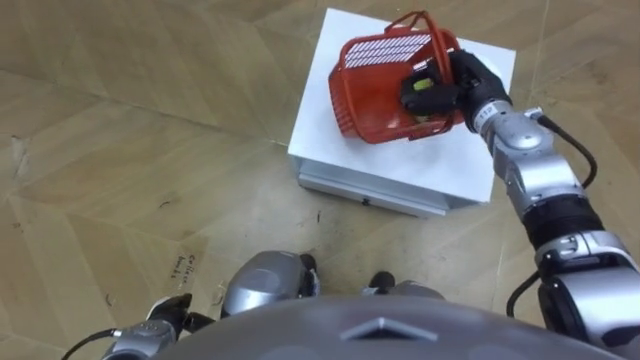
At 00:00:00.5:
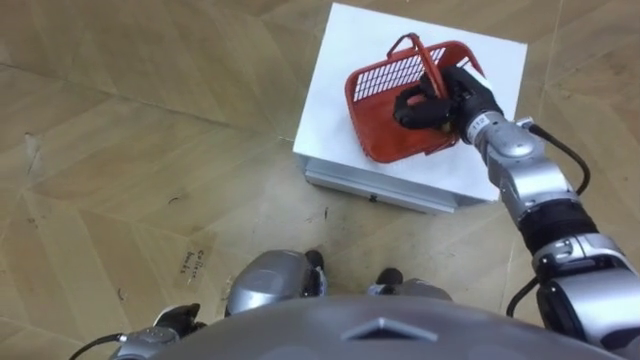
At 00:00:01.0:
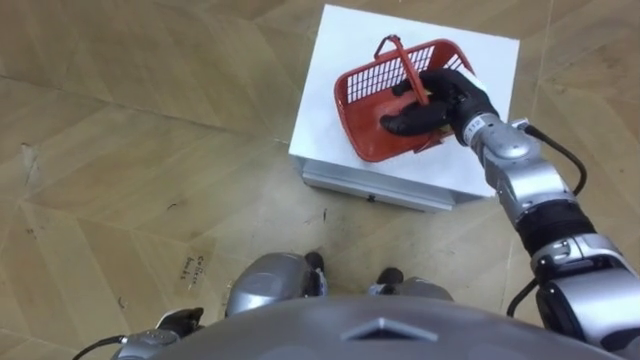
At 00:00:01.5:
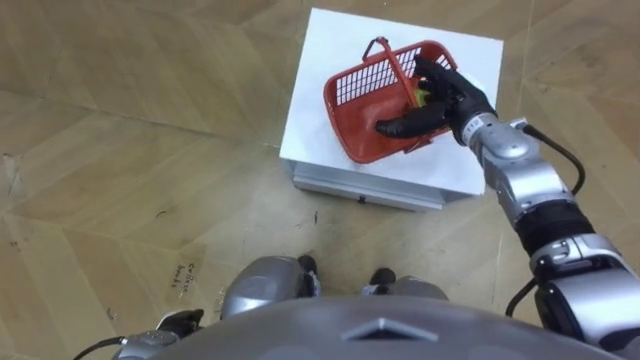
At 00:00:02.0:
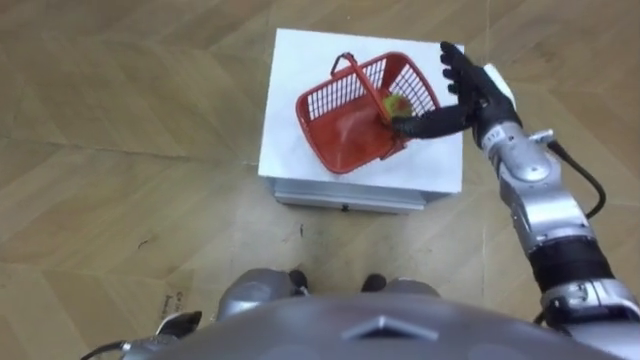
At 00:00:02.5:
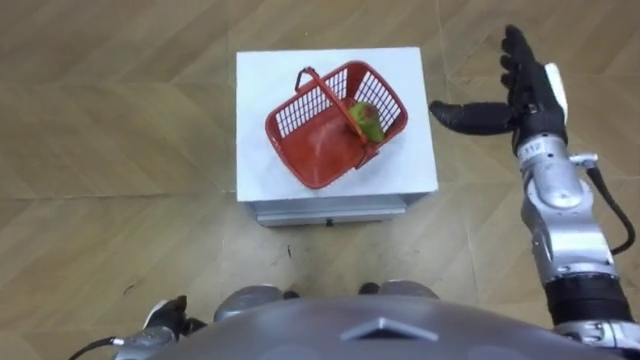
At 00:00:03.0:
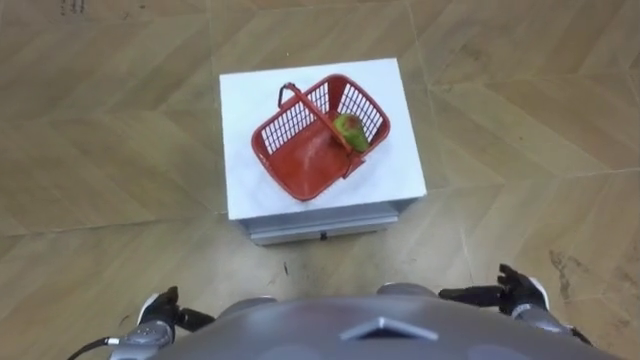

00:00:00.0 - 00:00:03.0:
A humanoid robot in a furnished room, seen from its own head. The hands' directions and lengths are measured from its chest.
Task of the whole recording: Pick up the fruit basket from the floor and place it on the cabinet.
00:00:00.0 - 00:00:01.5: The right hand opens.
00:00:01.5 - 00:00:03.0: The right hand moves backward, downward and to the right, roughly 30 cm.

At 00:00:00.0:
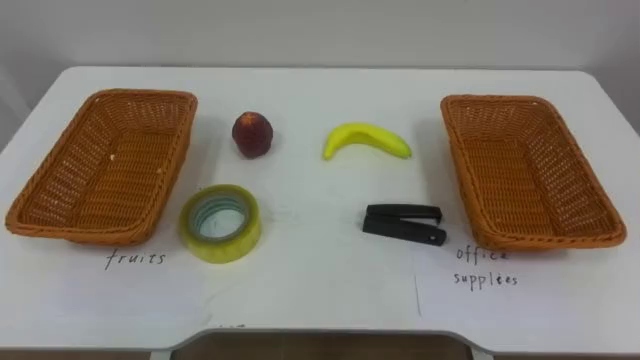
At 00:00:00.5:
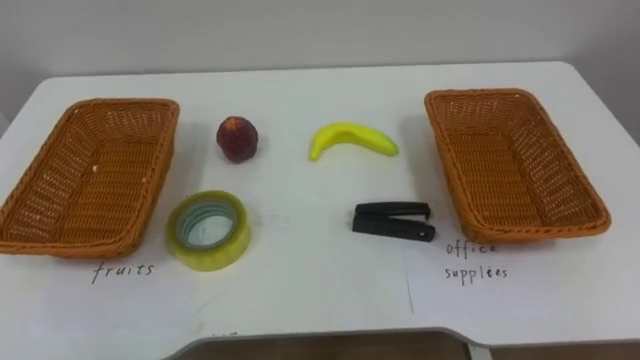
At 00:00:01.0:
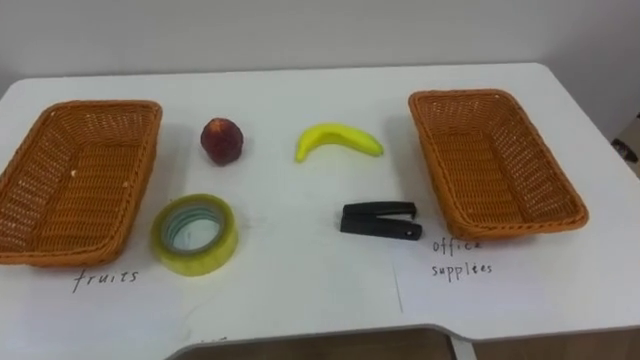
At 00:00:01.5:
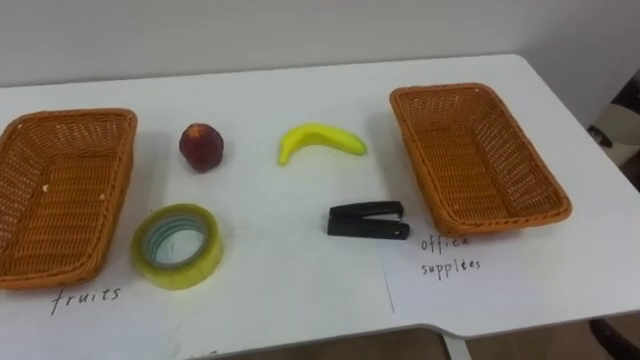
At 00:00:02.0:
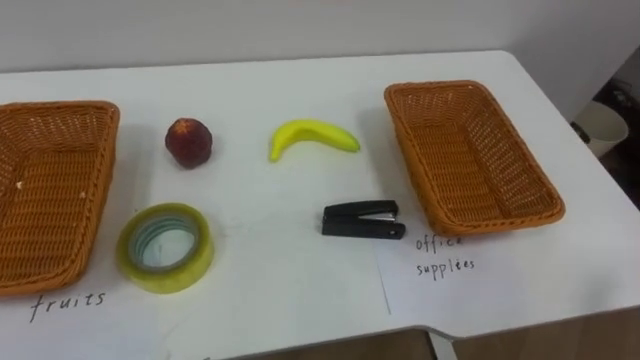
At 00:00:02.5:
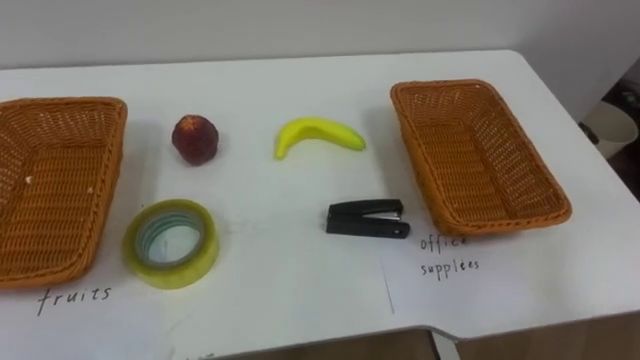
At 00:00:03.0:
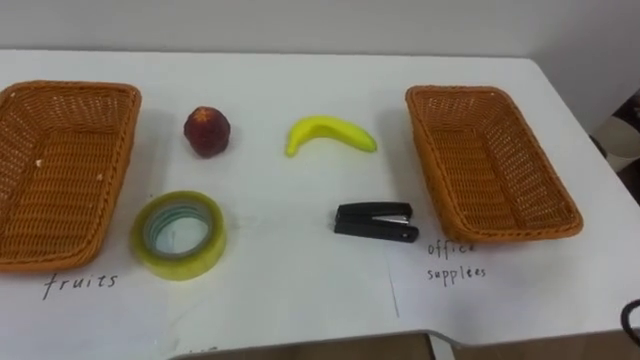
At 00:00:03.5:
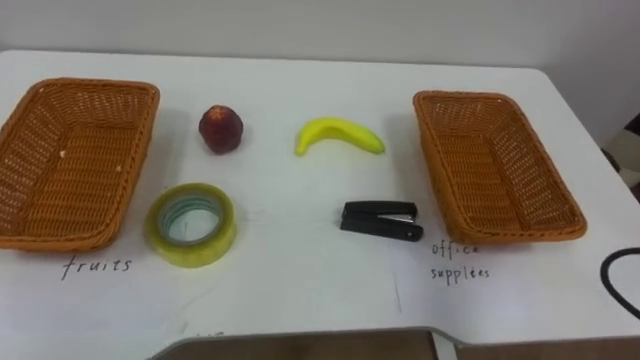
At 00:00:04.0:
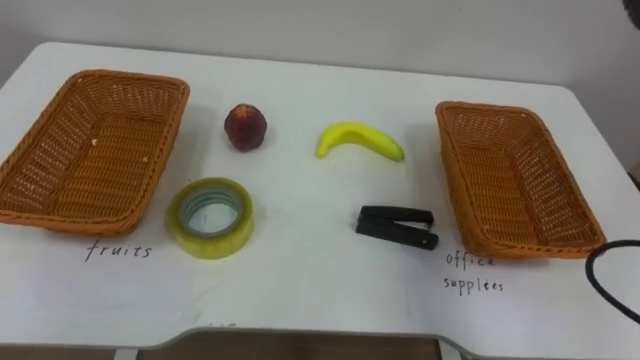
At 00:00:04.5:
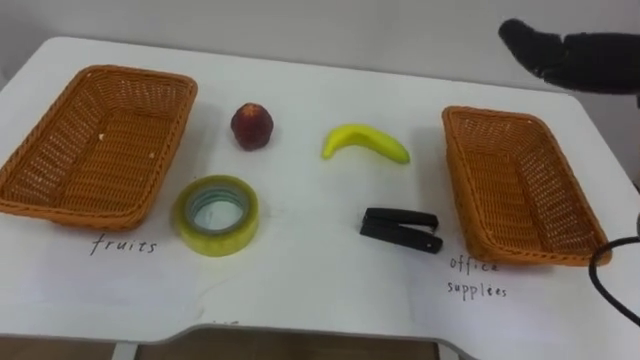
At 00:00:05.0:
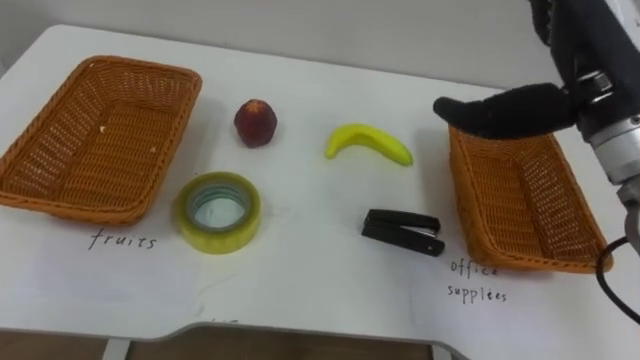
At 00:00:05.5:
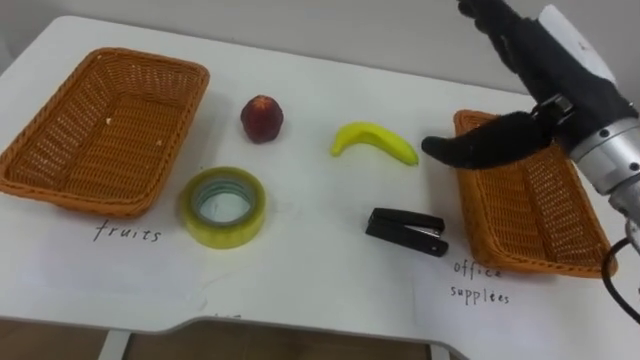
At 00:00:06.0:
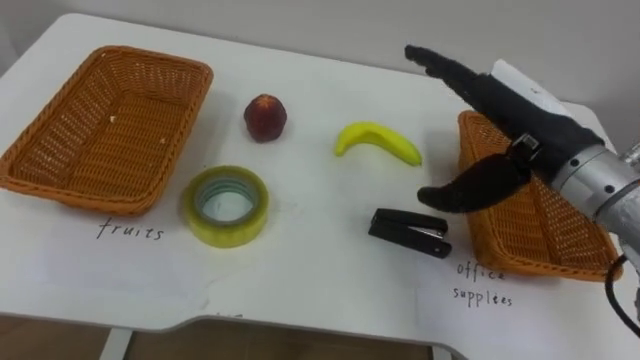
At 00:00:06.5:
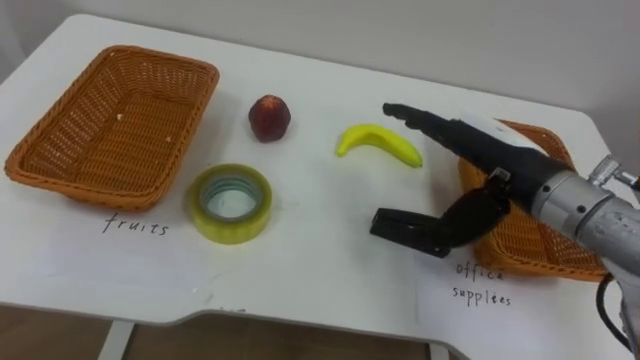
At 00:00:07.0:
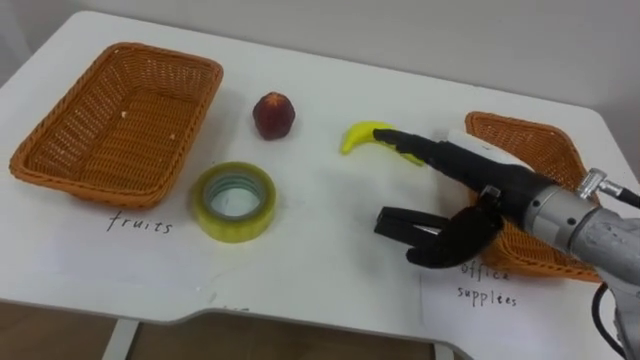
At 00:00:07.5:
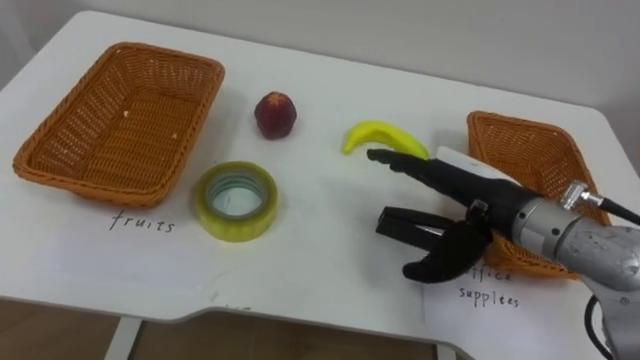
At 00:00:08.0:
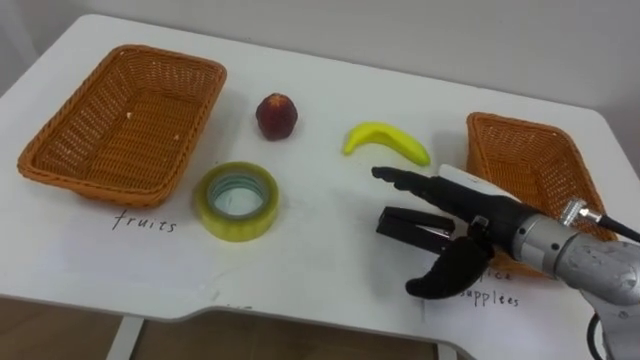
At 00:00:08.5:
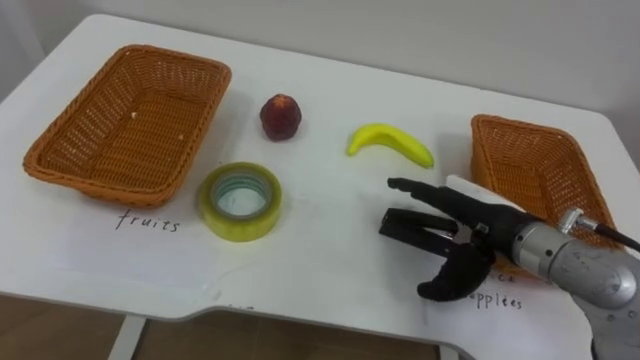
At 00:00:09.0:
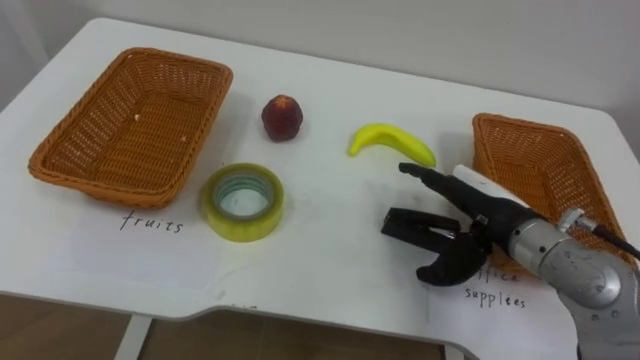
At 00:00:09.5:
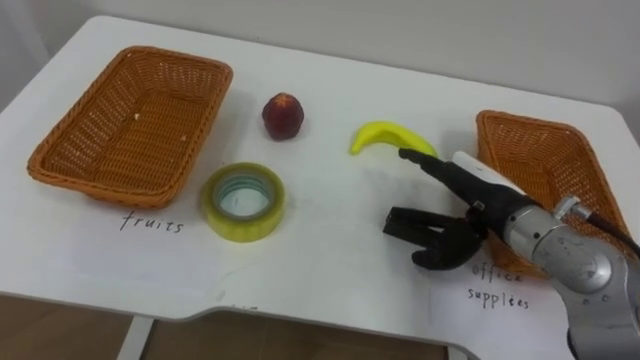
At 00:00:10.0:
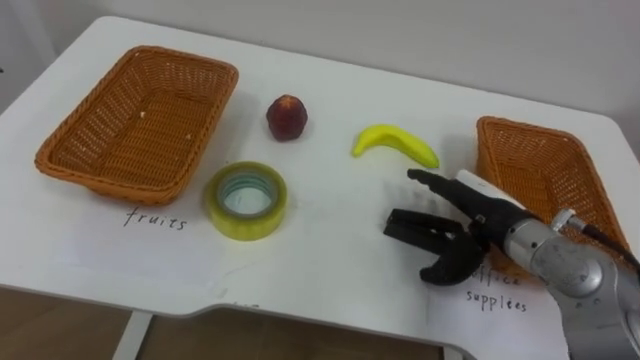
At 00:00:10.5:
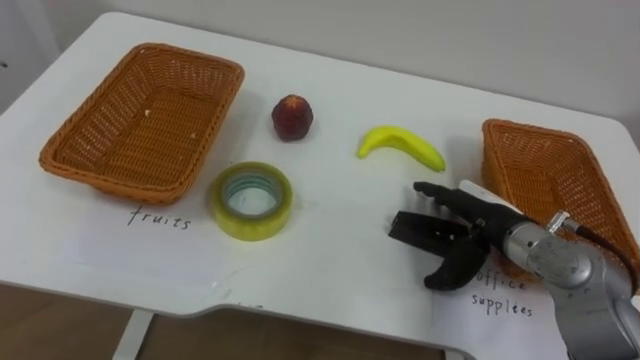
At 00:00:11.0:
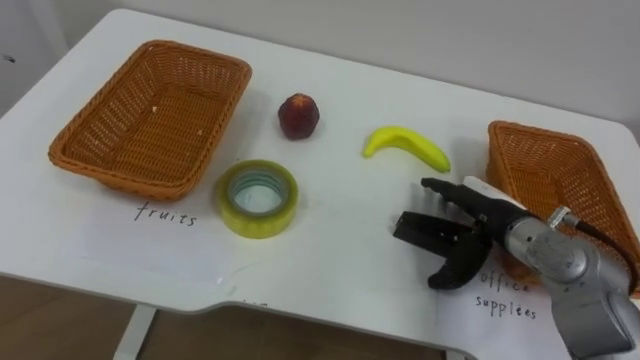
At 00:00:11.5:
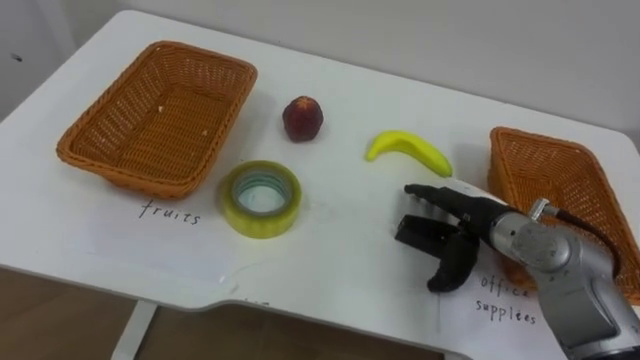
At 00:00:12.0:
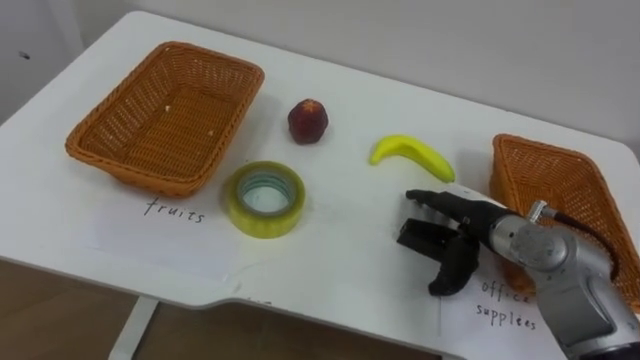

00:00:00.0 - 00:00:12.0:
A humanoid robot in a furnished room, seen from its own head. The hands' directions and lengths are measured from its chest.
Task of the whole recording: Separate the items on the table and place them into the two baskets.
00:00:06.0 - 00:00:08.0: The right hand goes approximately 10 cm downward.
00:00:08.0 - 00:00:10.0: The right hand shifts by approximately 5 cm.

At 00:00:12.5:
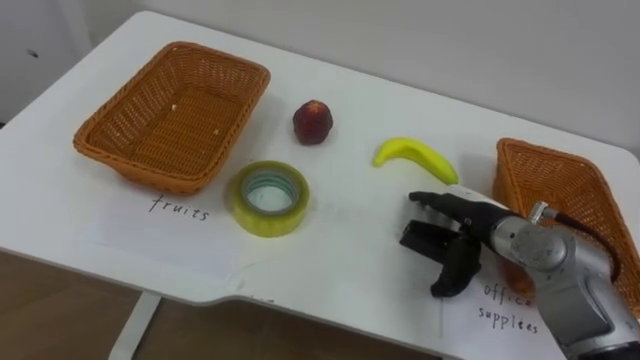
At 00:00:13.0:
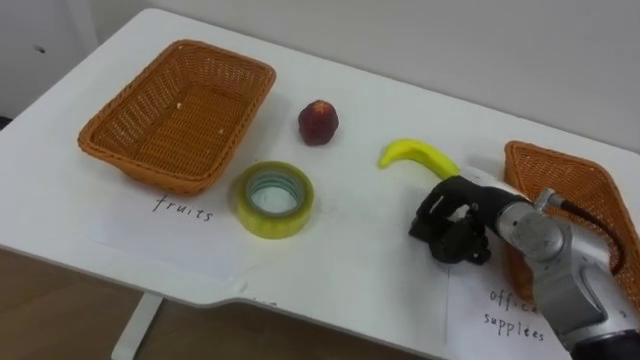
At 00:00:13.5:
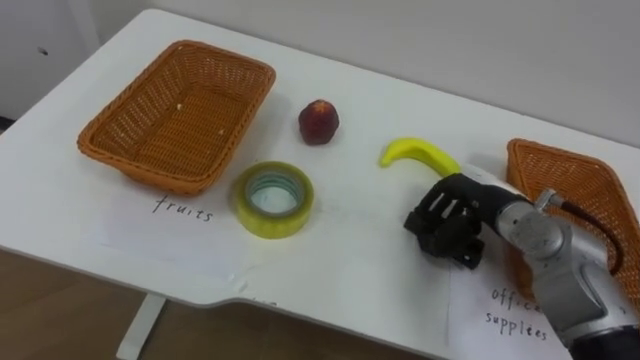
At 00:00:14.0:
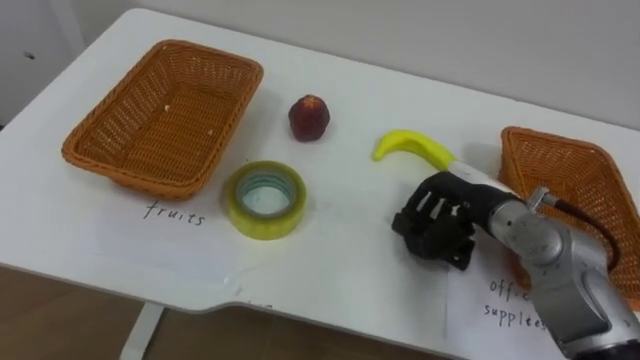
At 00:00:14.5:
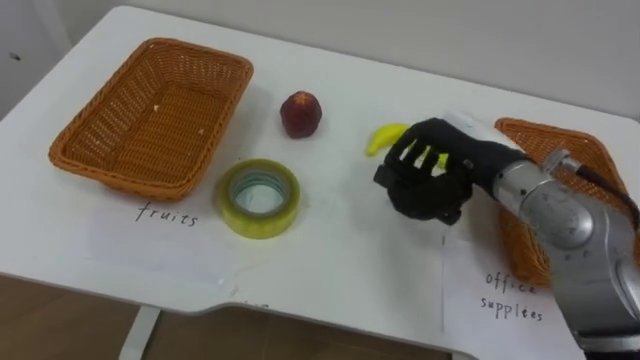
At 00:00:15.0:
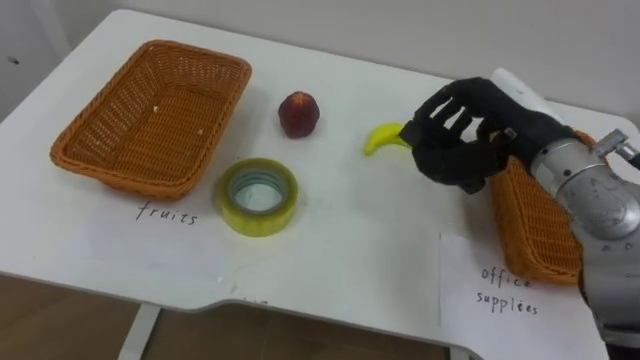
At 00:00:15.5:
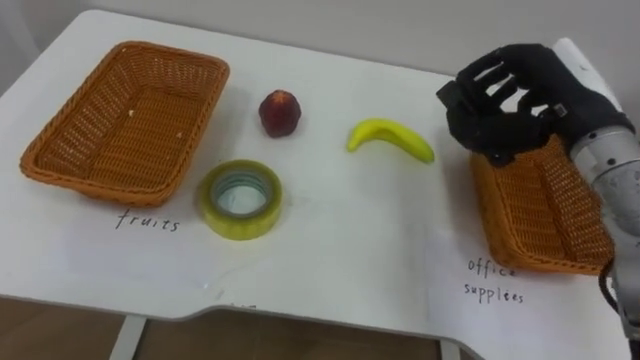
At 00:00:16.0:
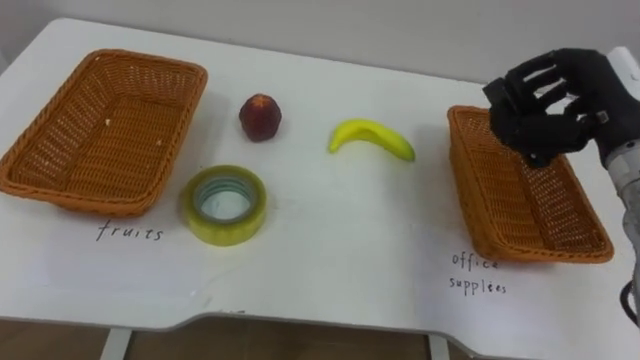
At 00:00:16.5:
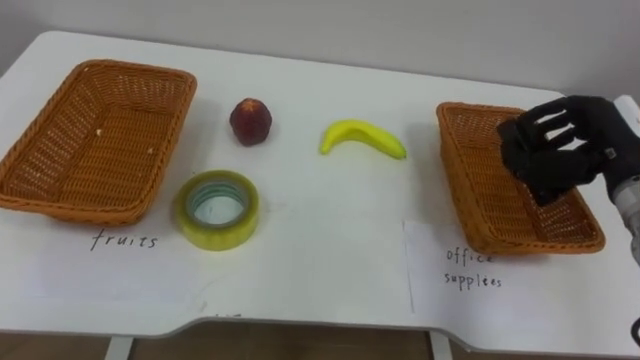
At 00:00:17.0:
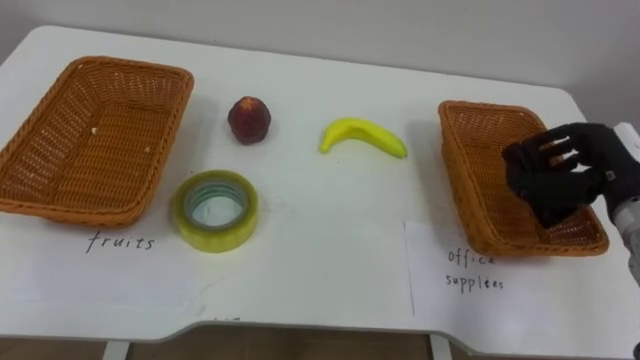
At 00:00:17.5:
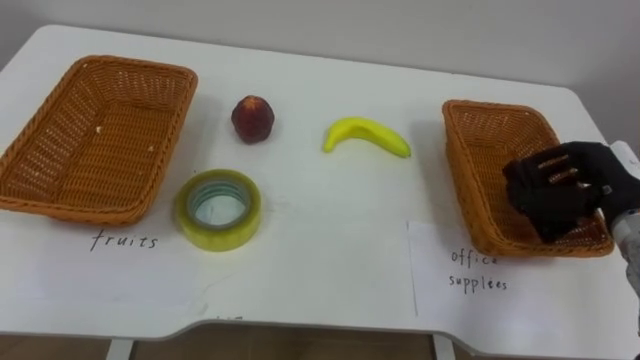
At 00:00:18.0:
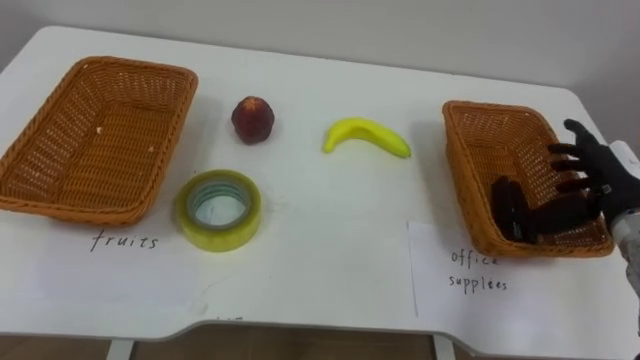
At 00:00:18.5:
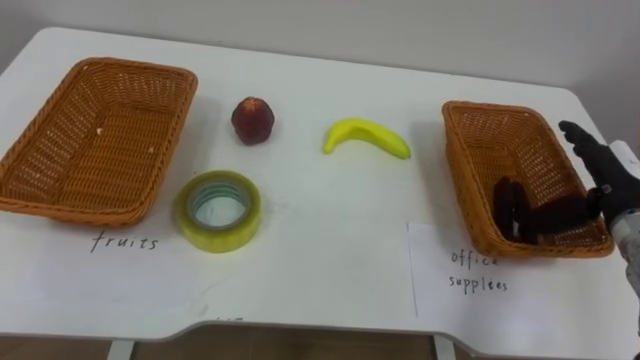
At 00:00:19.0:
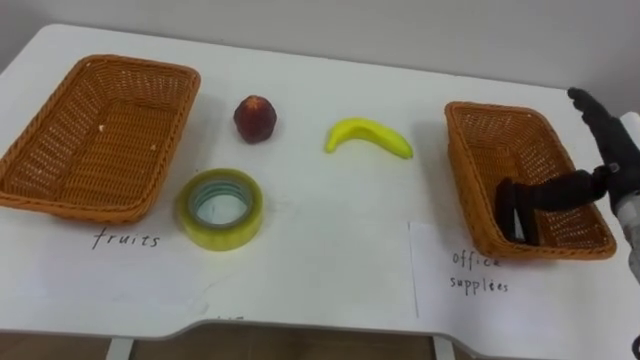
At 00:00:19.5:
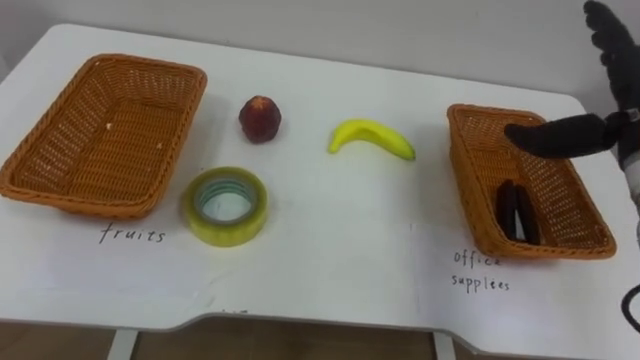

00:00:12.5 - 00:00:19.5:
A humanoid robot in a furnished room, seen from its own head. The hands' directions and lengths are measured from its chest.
Task of the whole recording: Separate the items on the table and place them into the two baskets.
00:00:12.5 - 00:00:14.5: The right hand goes some 10 cm upward, and closes its fingers.
00:00:14.5 - 00:00:16.0: The right hand heads to the right, covering some 10 cm.
00:00:16.0 - 00:00:17.5: The right hand heads downward, covering about 10 cm.
00:00:17.5 - 00:00:19.5: The right hand heads upward, covering some 10 cm, and opens its fingers.
